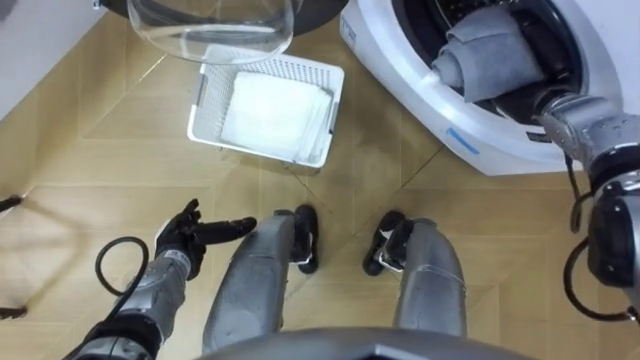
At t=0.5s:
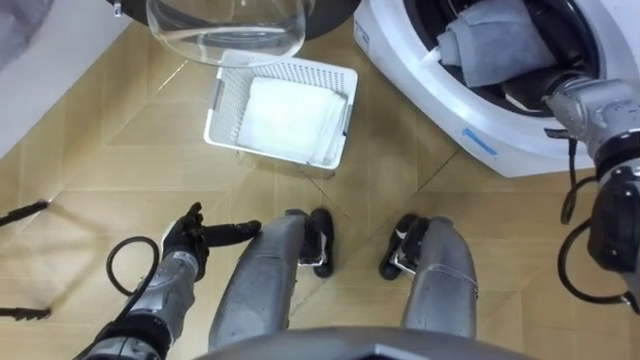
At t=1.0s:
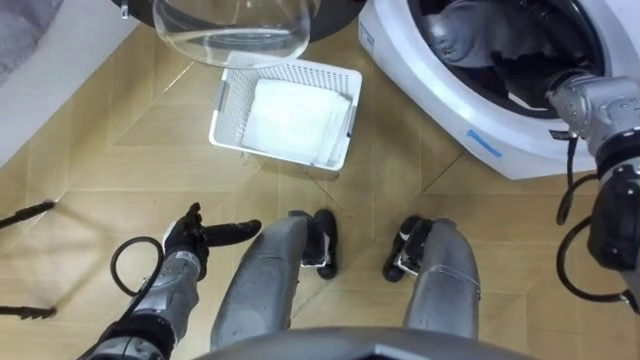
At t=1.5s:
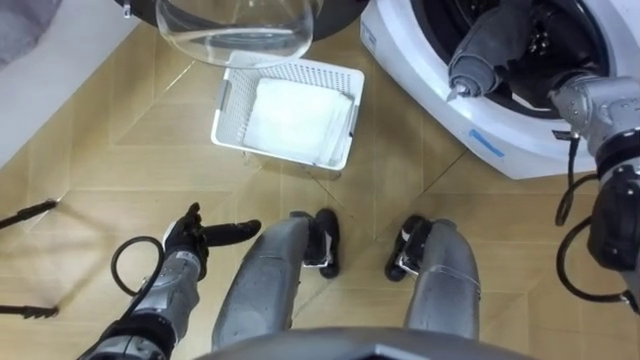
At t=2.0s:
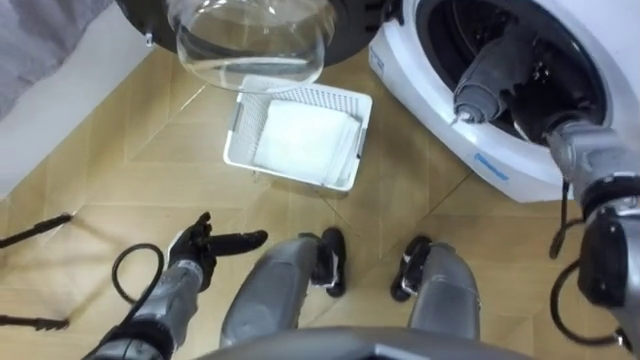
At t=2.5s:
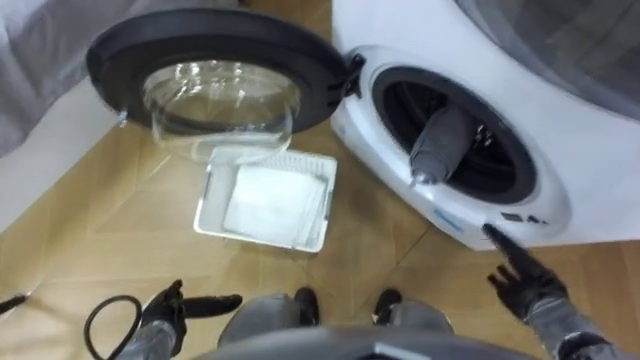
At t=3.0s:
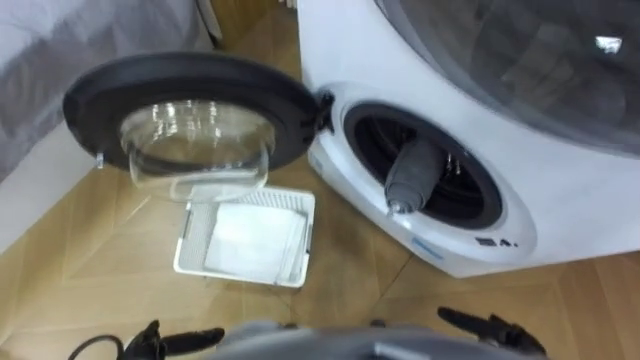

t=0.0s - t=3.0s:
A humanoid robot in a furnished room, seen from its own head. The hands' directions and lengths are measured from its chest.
Task of the whole recording: Take the towel from the basket and put it into the washing machine.
t=0.0s - t=1.5s: The right hand opens.
t=1.5s - t=3.0s: The right hand moves backward and downward, approximately 40 cm; the left hand is displaced backward by about 15 cm.

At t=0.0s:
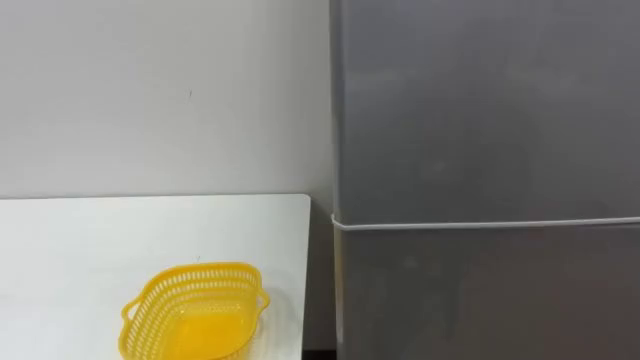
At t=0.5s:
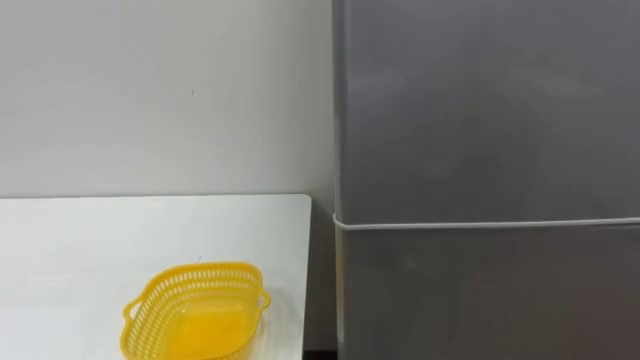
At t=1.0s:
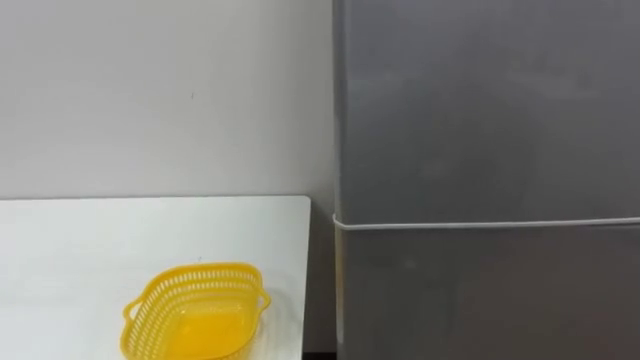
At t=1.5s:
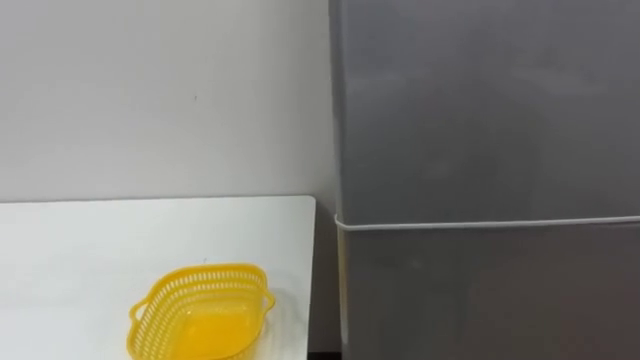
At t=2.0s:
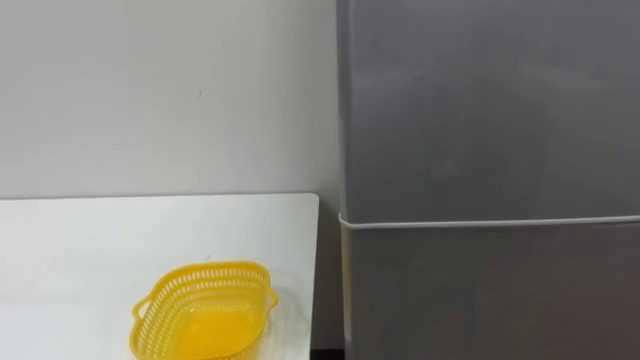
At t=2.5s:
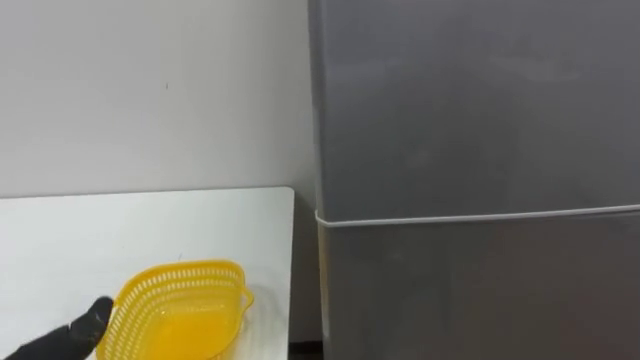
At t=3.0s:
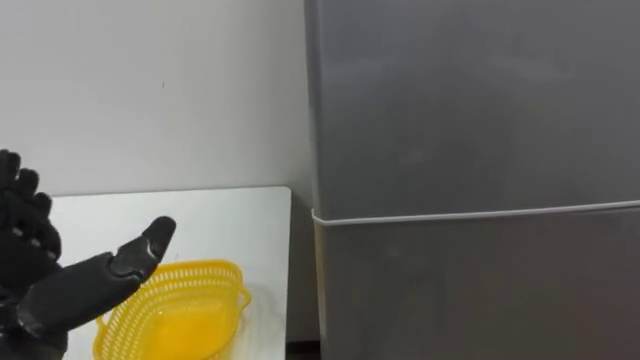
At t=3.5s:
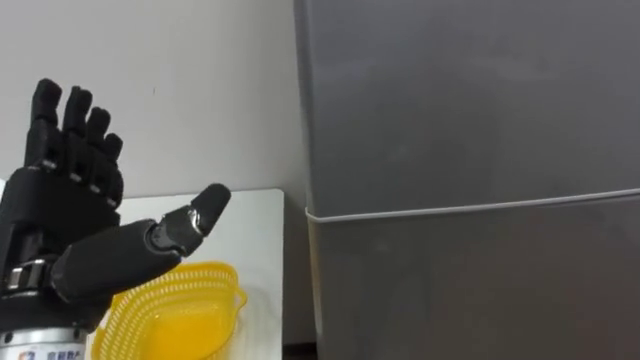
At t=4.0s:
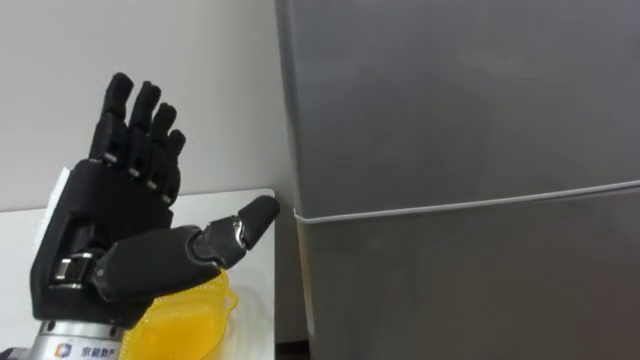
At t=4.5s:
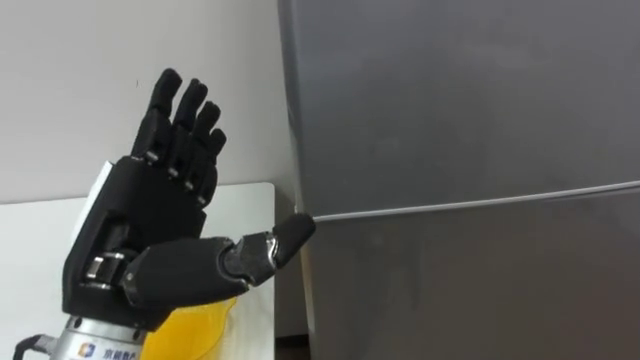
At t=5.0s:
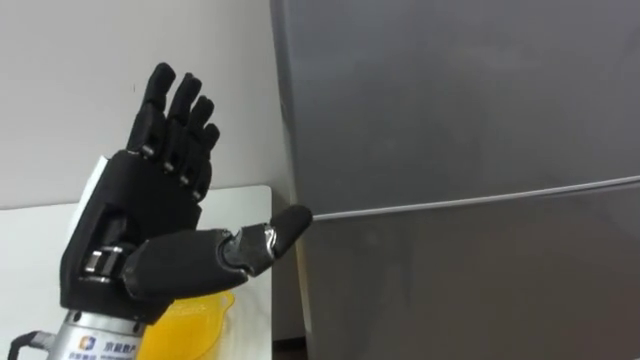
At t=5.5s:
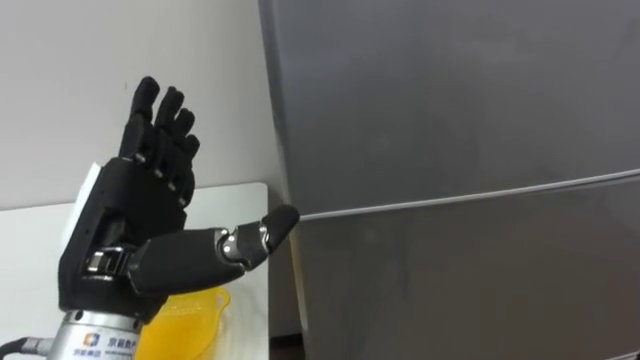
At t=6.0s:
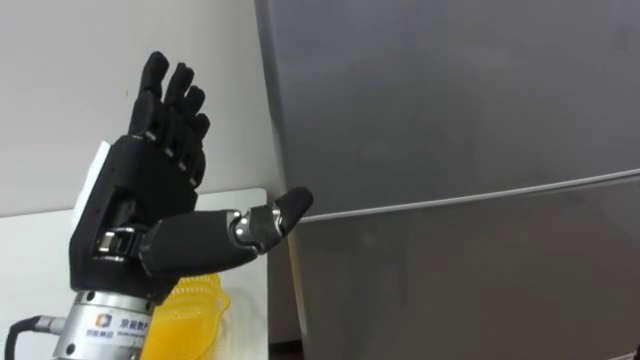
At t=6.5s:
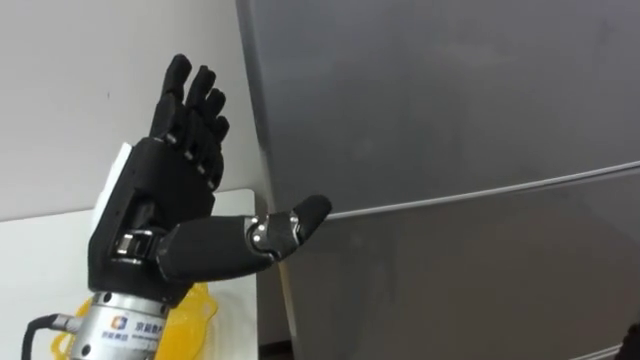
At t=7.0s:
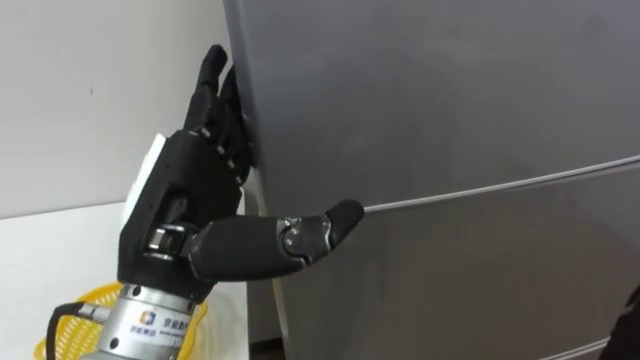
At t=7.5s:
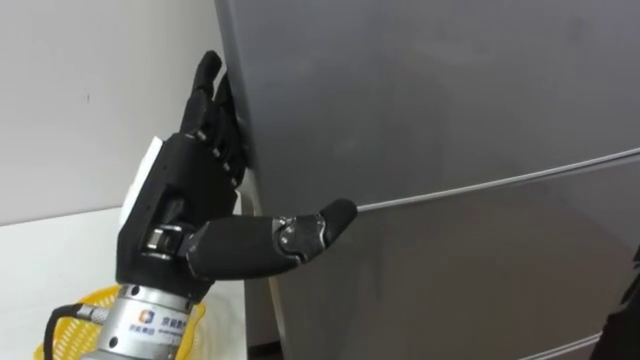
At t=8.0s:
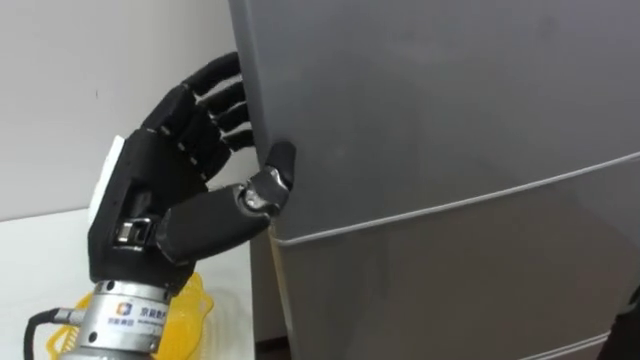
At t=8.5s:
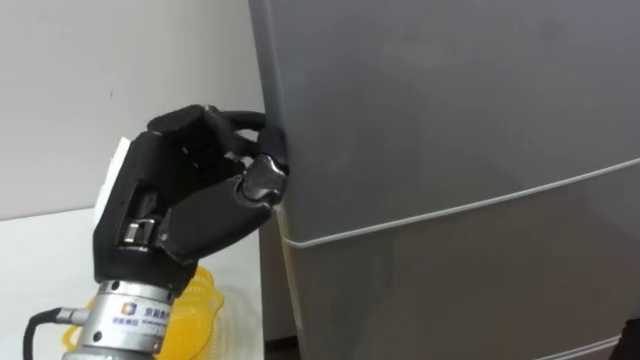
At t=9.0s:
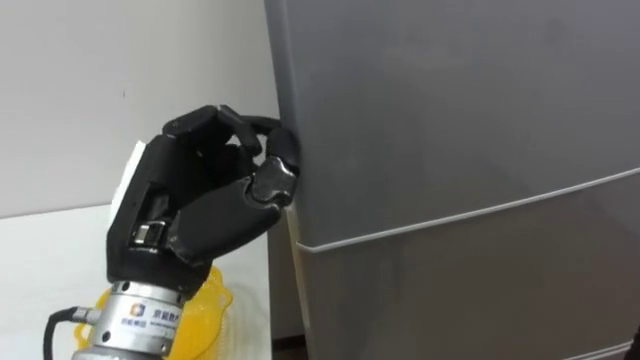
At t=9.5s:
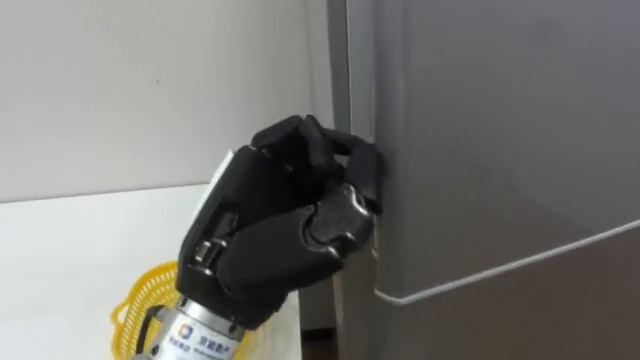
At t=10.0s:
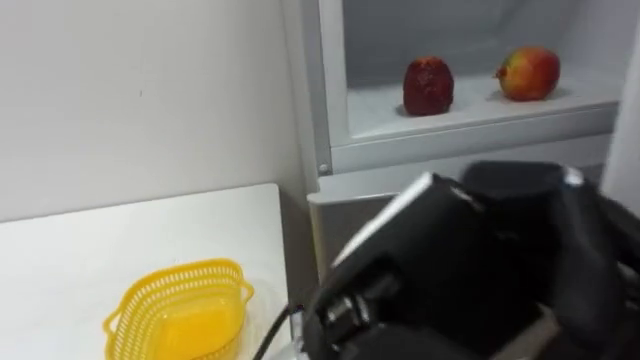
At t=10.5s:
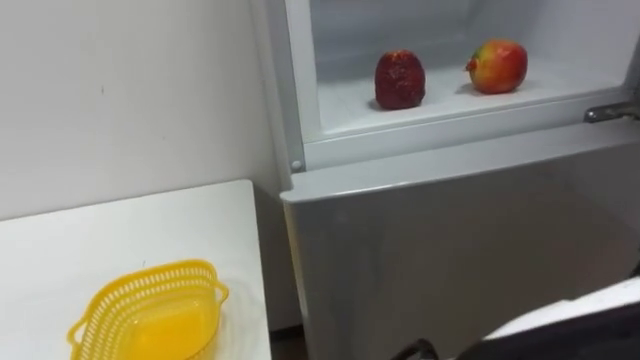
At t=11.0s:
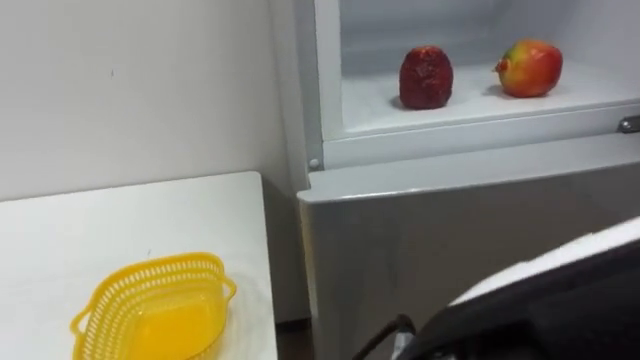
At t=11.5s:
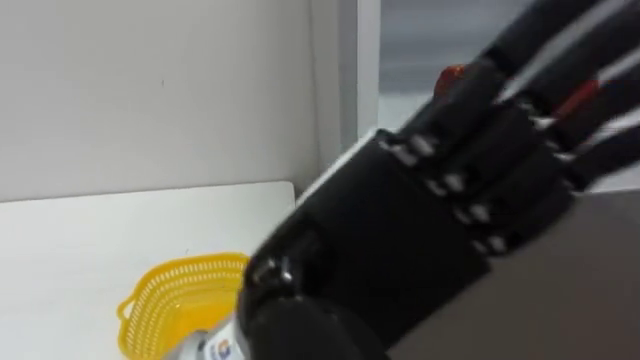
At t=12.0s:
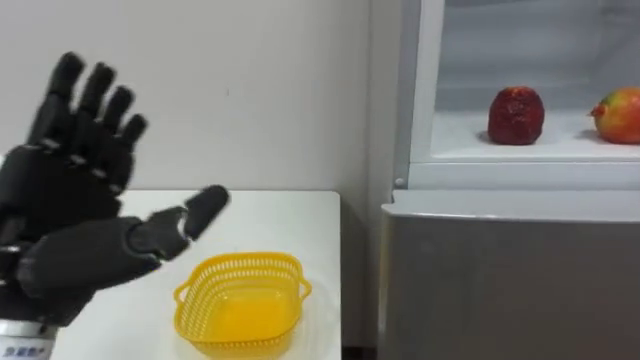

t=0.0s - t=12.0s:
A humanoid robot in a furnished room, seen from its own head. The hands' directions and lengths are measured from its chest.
Task of the whole recording: Open the refrigerator door, take out the apple and the pomegranate, place them in the fruit basket on the left, and close the refrigerator door.
t=6.0s - t=8.0s: The left hand closes its fingers.
t=8.0s - t=10.0s: The left hand is displaced to the right and backward by about 20 cm, and closes up.

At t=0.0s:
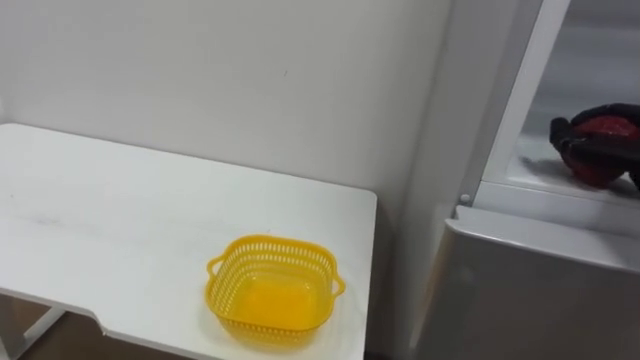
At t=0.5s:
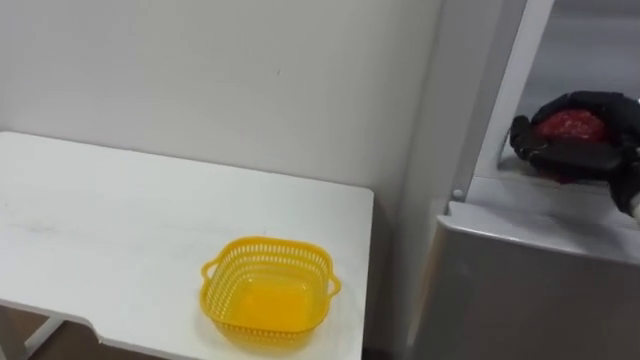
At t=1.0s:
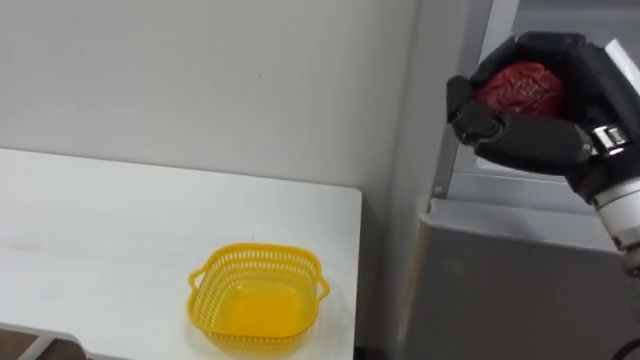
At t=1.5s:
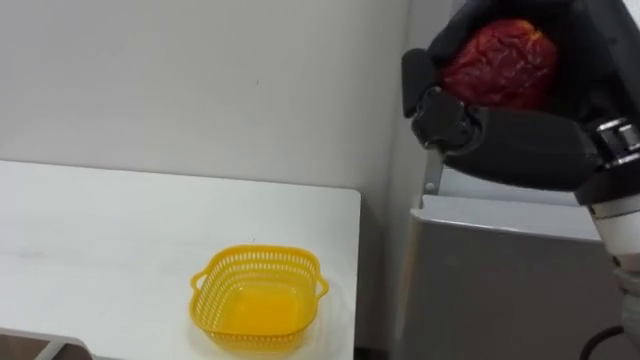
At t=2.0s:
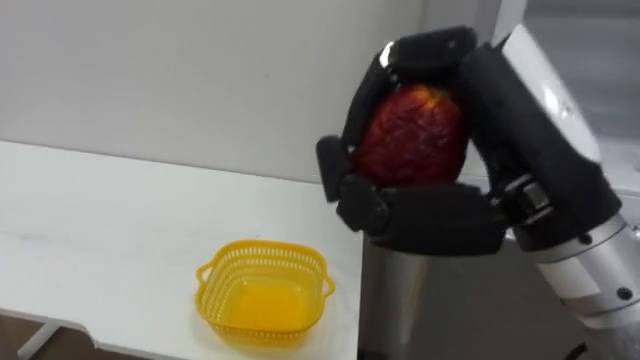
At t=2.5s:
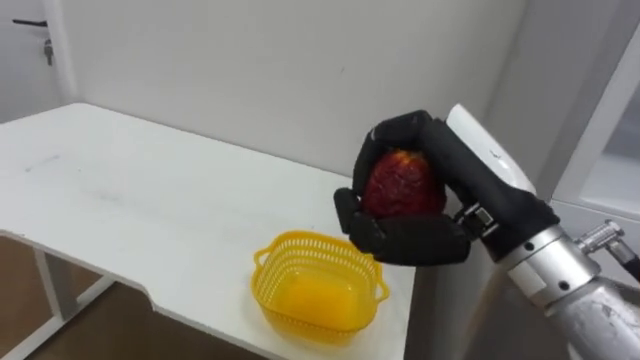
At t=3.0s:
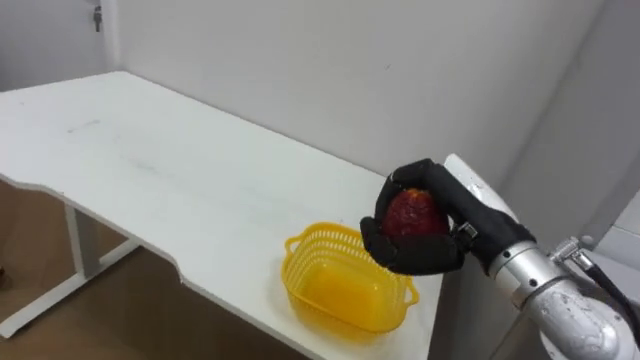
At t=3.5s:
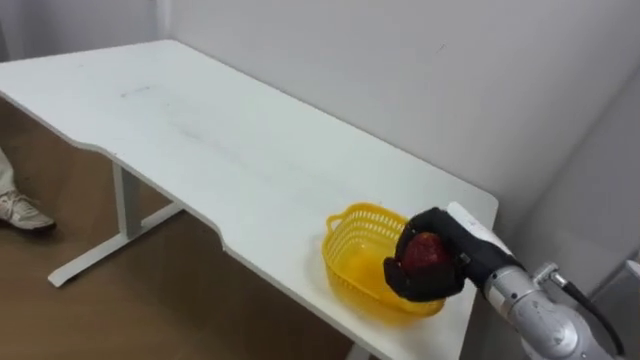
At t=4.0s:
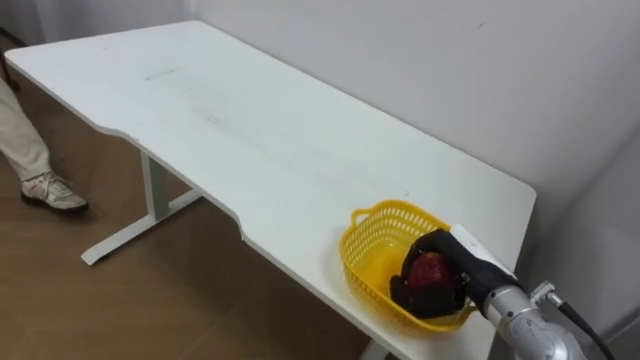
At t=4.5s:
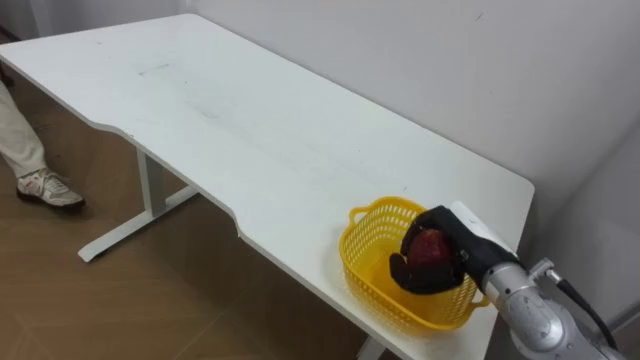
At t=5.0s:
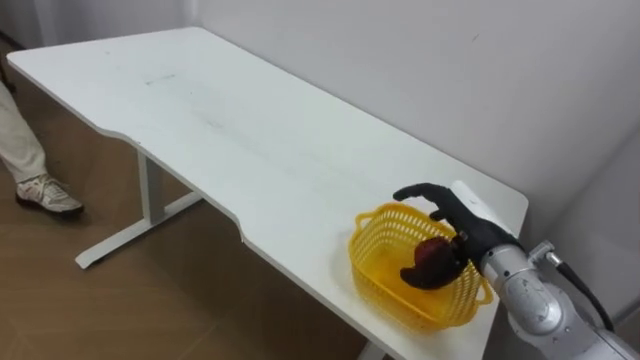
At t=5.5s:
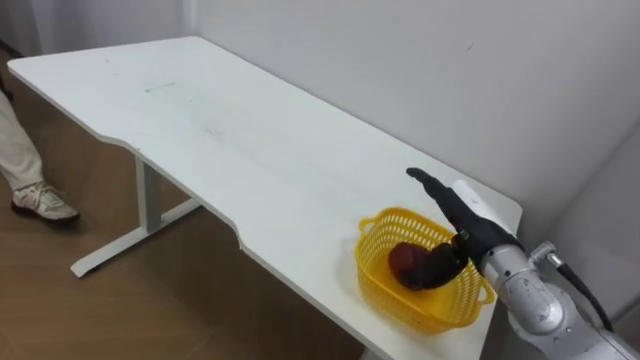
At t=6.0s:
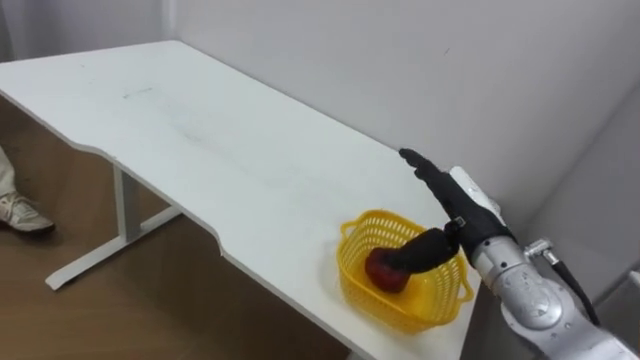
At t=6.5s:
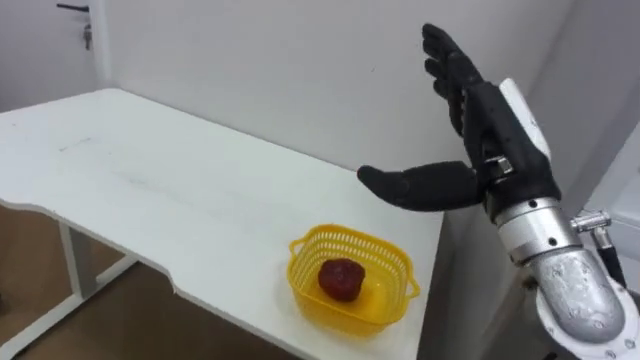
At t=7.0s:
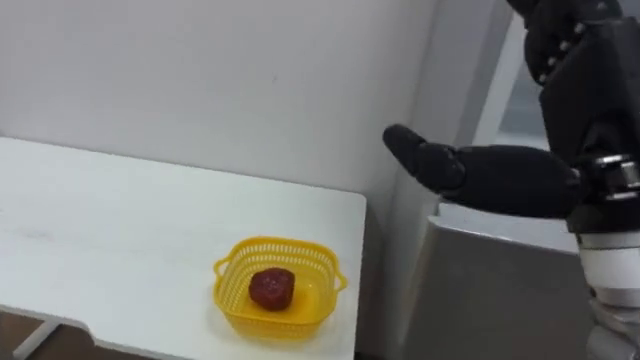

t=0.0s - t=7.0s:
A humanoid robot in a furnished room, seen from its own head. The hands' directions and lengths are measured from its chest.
Task of the whole recording: Open the refrigerator door, take out the apple and the pomegranate, place them in the fruit basket on the left, and close the refrigerator door.
t=2.0s - t=3.5s: The right hand moves downward and forward, approximately 25 cm.
t=3.5s - t=5.0s: The right hand opens.
t=5.0s - t=7.0s: The right hand heads upward and backward, covering some 25 cm.
